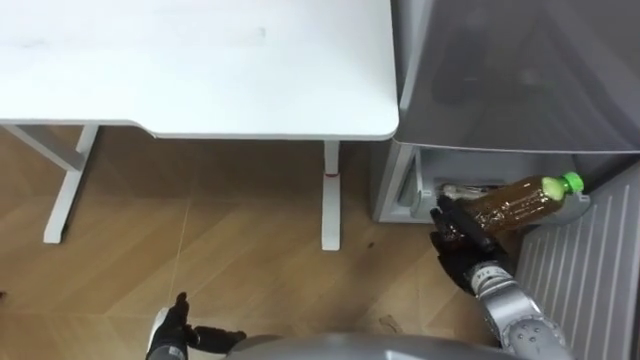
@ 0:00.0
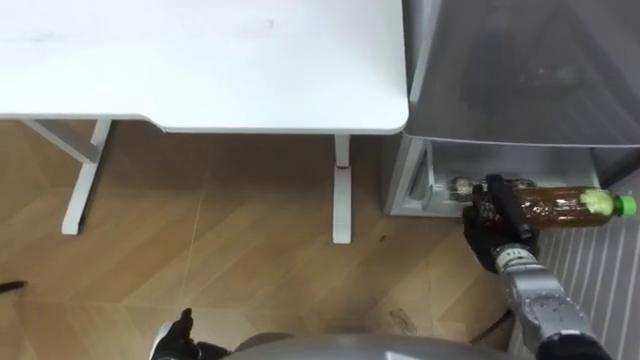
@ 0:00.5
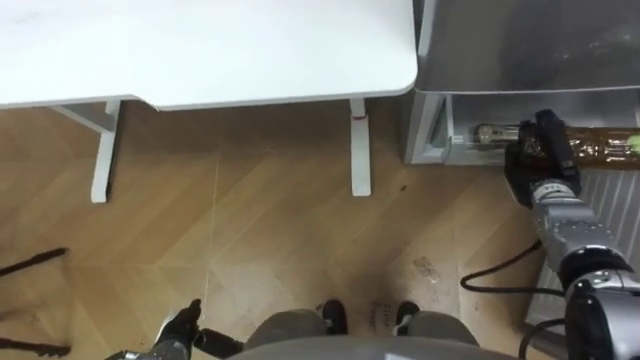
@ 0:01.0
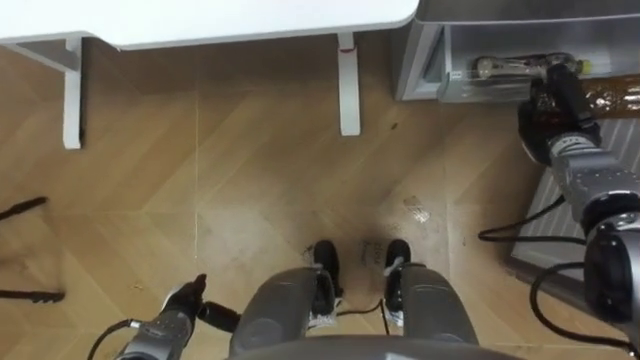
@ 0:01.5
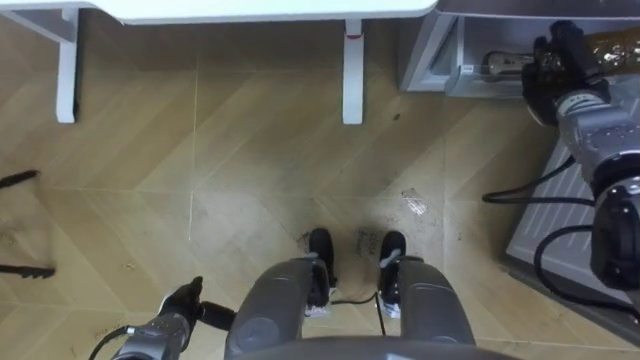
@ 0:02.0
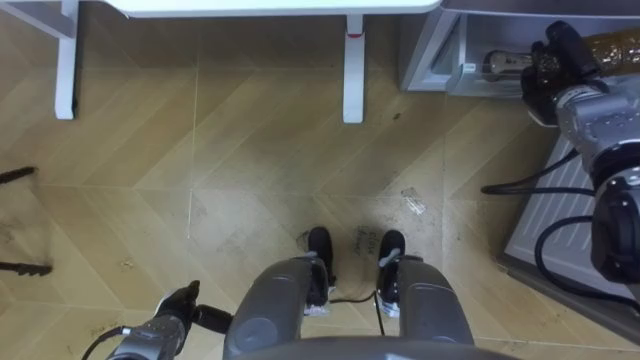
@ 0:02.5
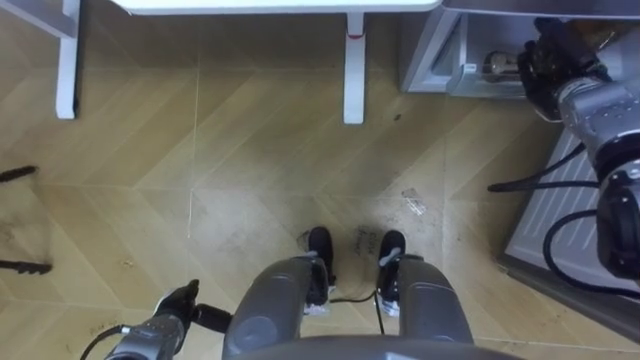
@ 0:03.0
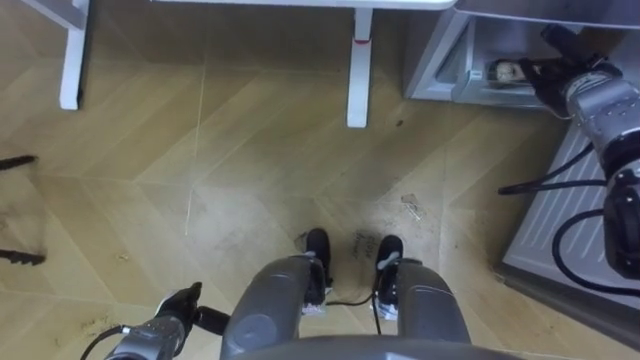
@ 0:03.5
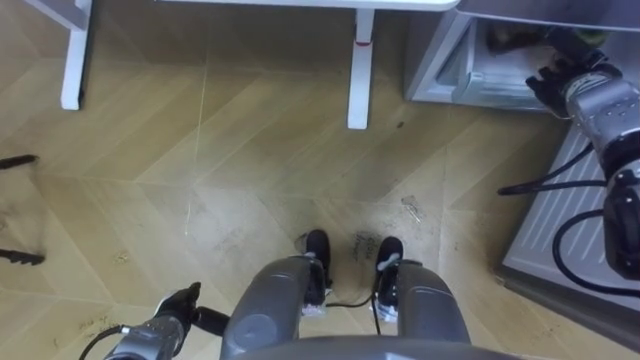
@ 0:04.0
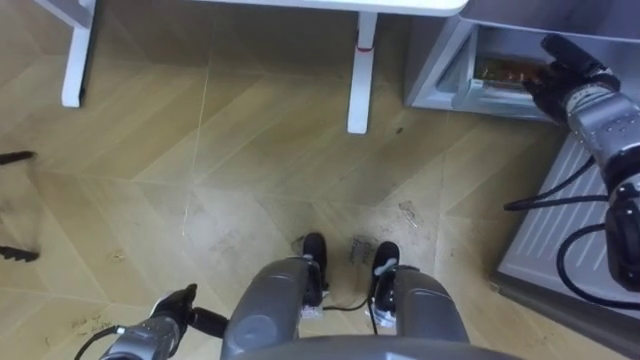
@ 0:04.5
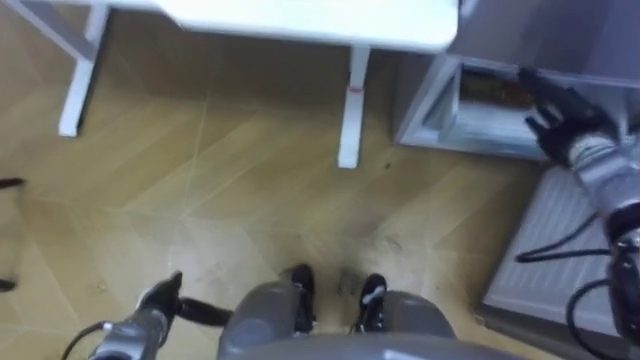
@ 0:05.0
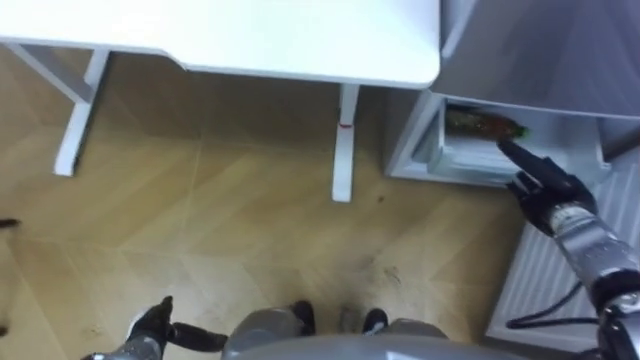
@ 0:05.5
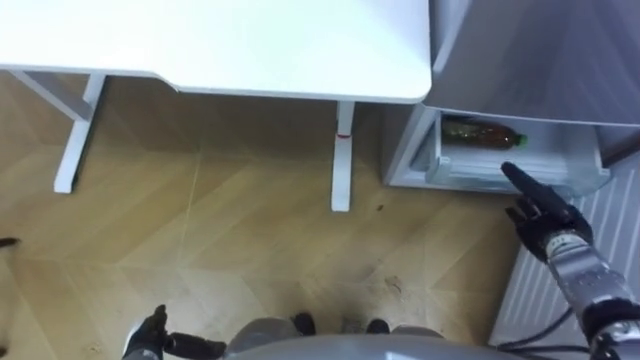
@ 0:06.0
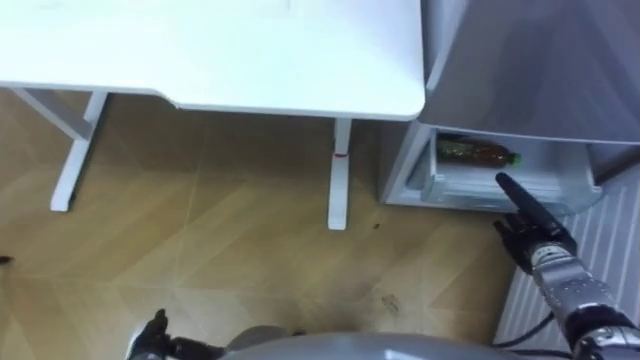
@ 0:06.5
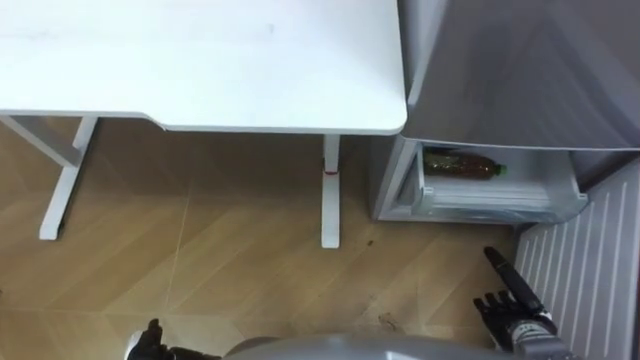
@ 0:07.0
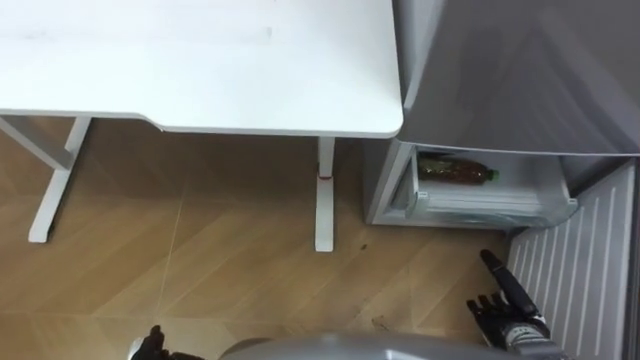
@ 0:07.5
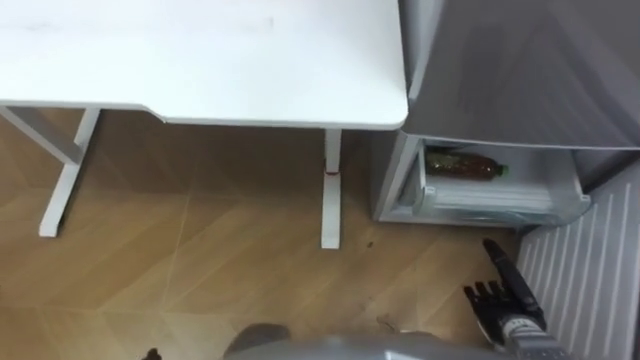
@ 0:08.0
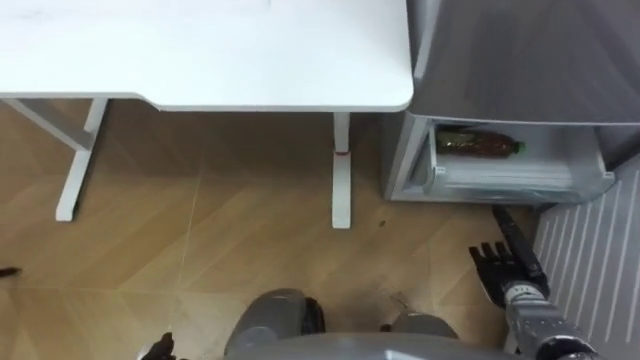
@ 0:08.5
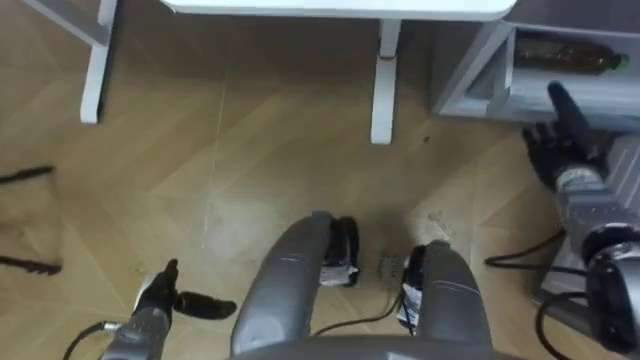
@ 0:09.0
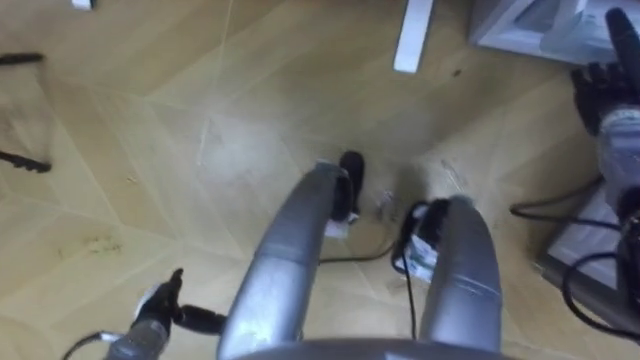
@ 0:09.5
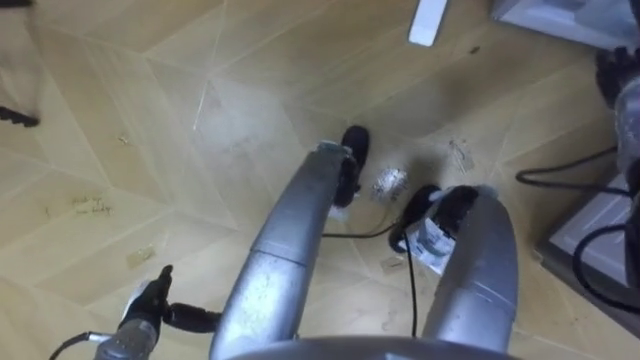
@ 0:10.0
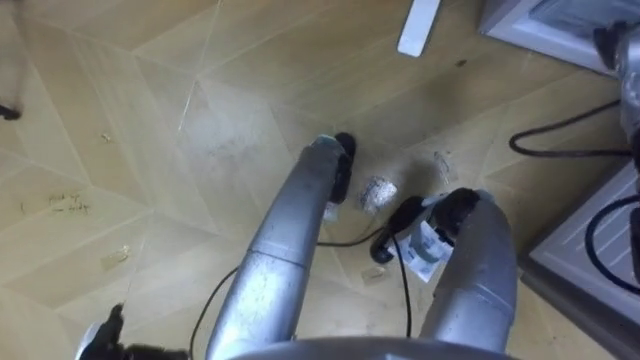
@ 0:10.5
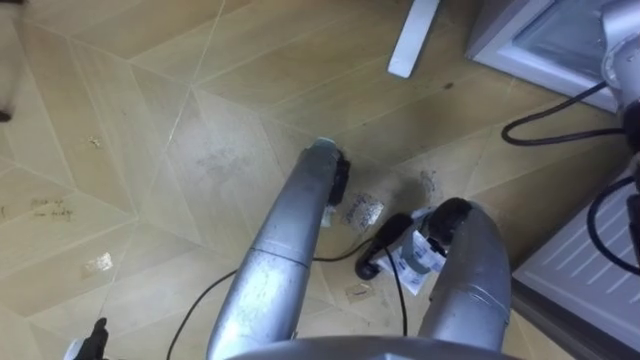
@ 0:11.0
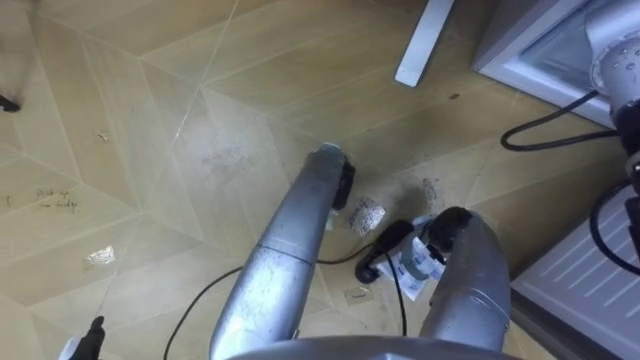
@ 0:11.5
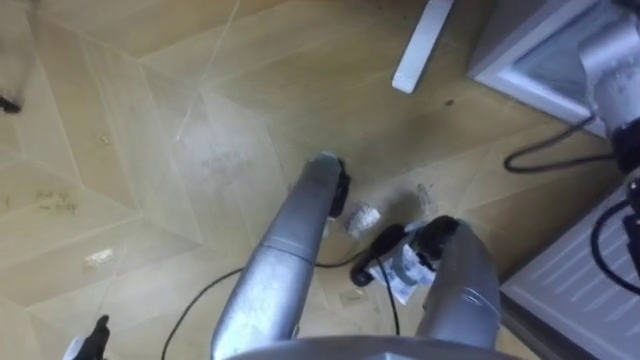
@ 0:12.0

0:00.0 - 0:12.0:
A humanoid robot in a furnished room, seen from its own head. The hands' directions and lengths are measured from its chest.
Task of the whole recording: Place the drink on the table on the bottom shelf of the refrigerator, then close the drawer and the refrigerator door.
0:00.0 - 0:02.0: The right hand heads forward, upward and to the right, covering approximately 25 cm.
0:02.0 - 0:04.0: The right hand opens its fingers.
0:04.0 - 0:06.0: The left hand changes place by about 5 cm, while the right hand heads backward and downward, covering some 20 cm.
0:06.0 - 0:08.0: The right hand shifts about 15 cm backward, downward and to the left.
0:08.0 - 0:10.0: The right hand is displaced forward, upward and to the right by some 35 cm.
0:10.0 - 0:12.0: The right hand moves upward, some 5 cm.

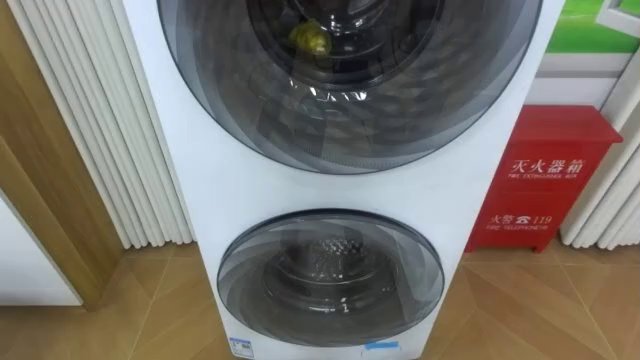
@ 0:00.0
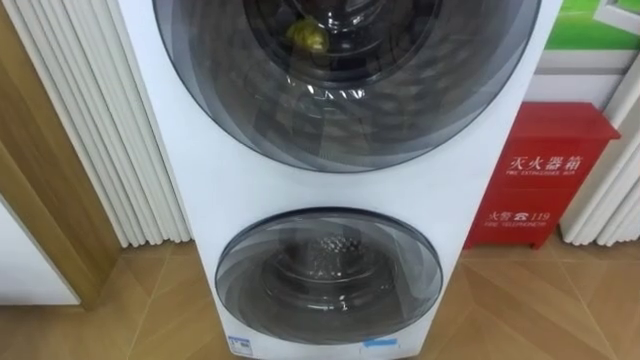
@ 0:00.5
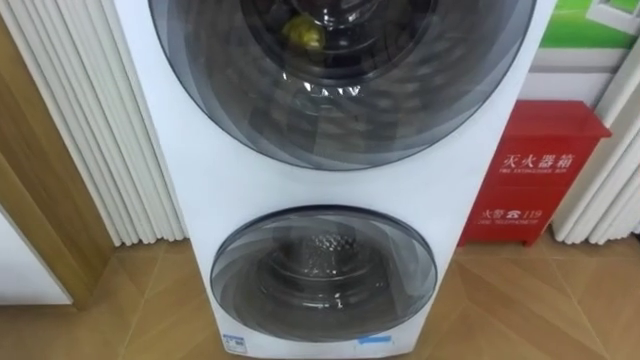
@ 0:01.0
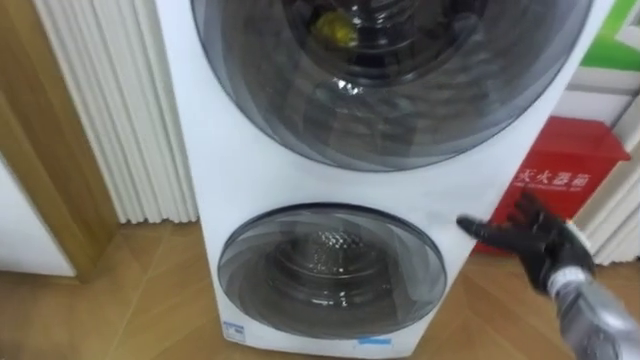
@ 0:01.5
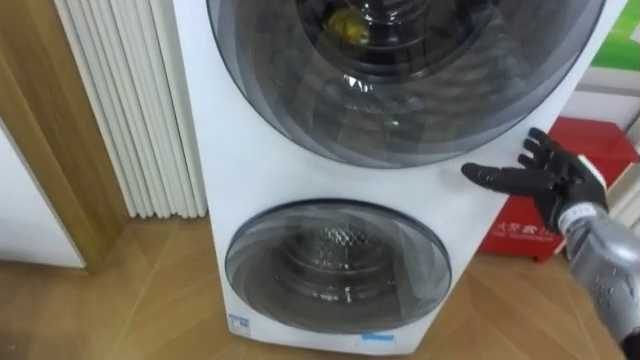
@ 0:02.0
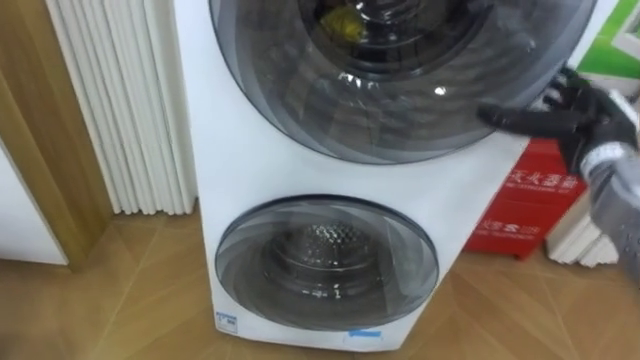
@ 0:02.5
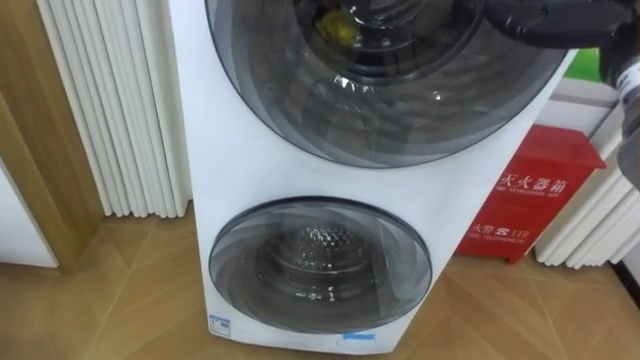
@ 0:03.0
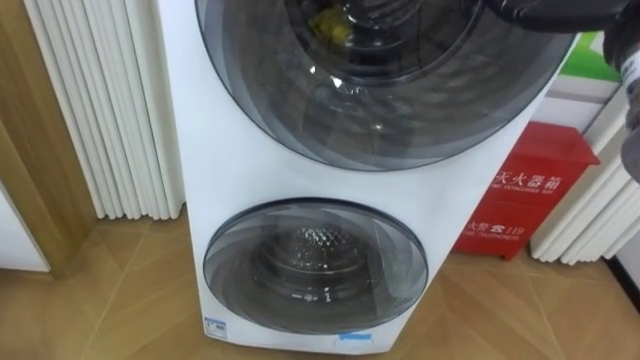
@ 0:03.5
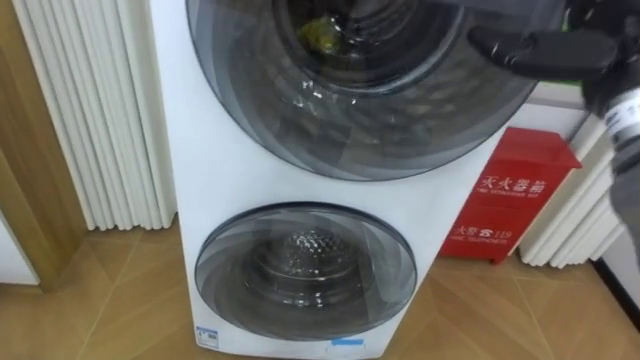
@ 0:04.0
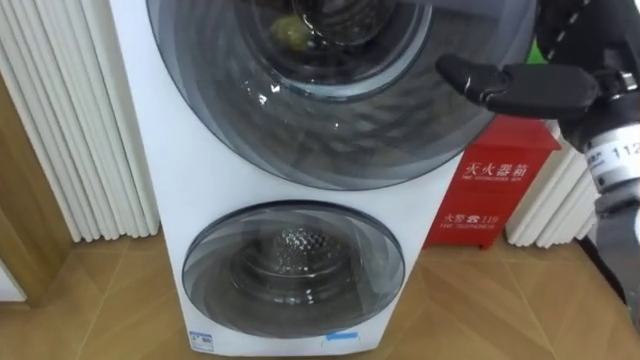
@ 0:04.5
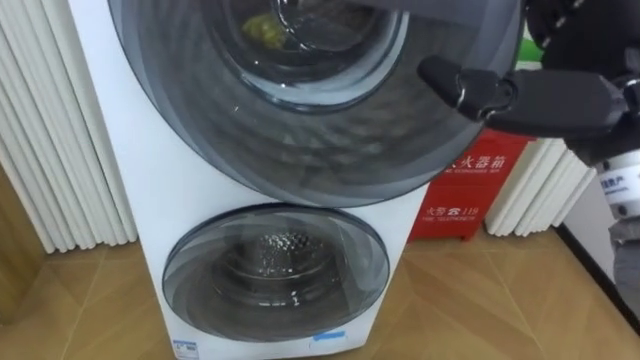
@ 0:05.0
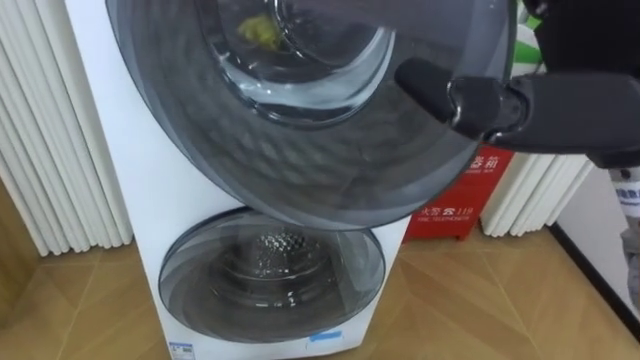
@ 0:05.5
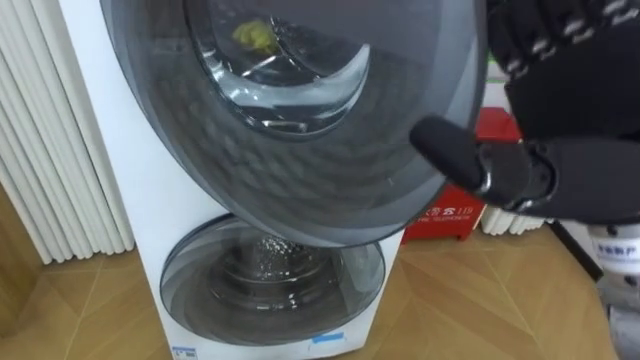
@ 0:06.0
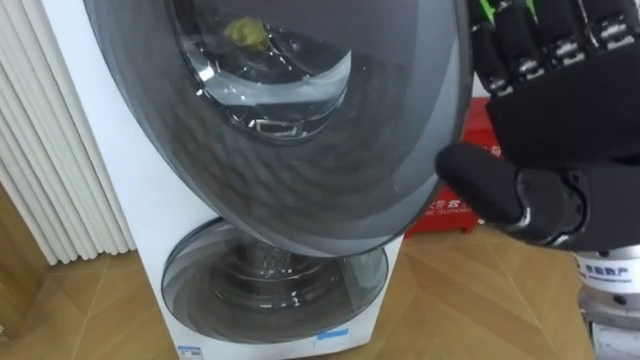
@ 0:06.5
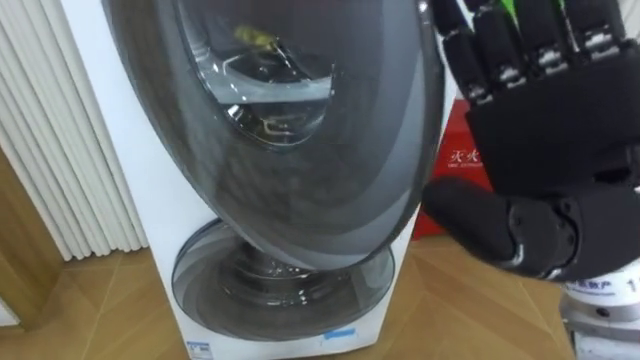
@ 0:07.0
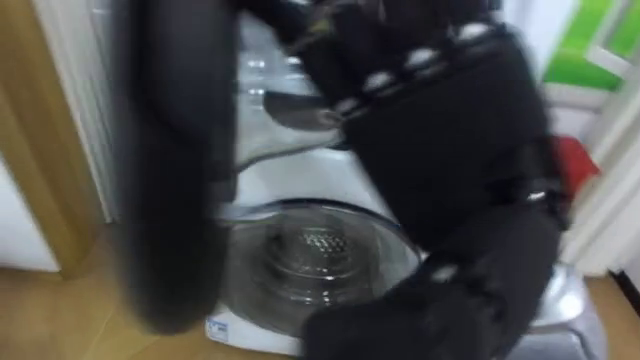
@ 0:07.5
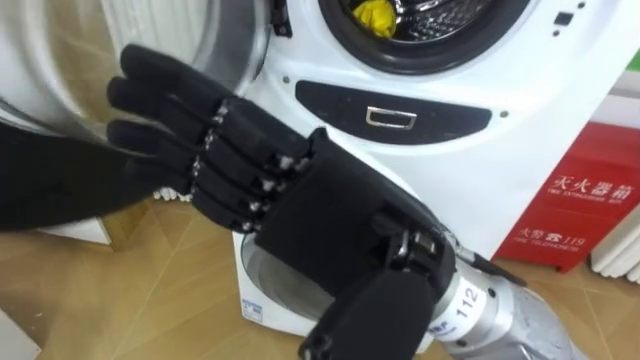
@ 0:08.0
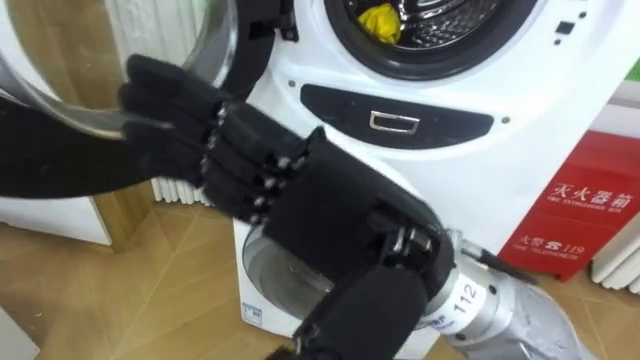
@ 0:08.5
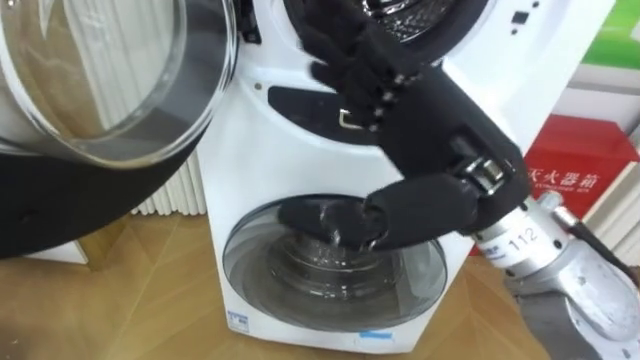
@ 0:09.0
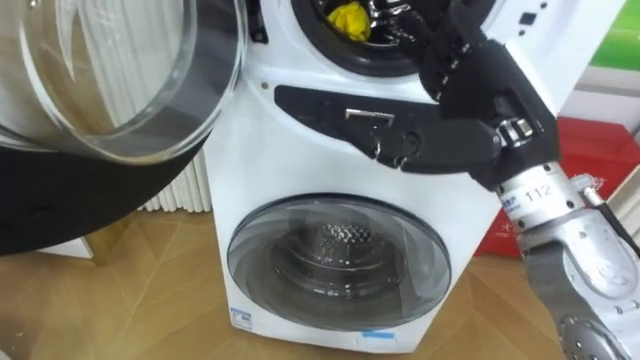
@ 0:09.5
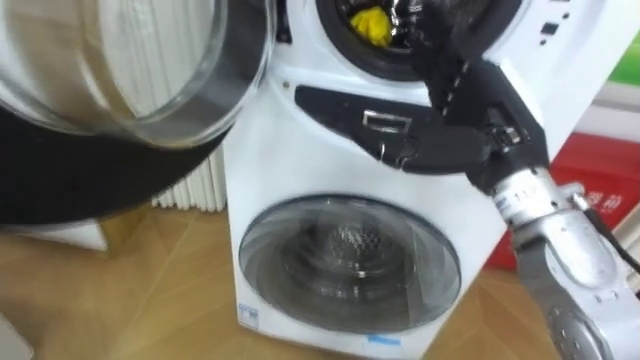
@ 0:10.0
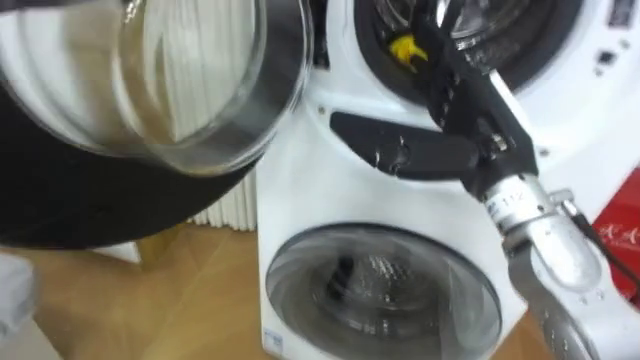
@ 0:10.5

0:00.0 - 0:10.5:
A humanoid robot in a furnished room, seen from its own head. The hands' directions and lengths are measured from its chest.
Task of the whole recording: Open the washing machine door, take out the yellow clothes, place them in the box on the right, and close the washing machine door.
0:04.0 - 0:06.5: The right hand moves backward and to the left, about 15 cm.
0:06.5 - 0:08.5: The right hand travels to the left by roughly 15 cm.
0:08.5 - 0:10.5: The right hand travels forward and to the right by about 20 cm.
